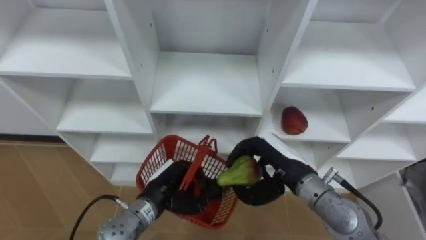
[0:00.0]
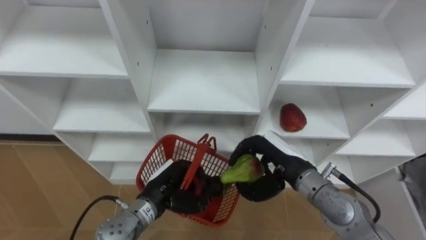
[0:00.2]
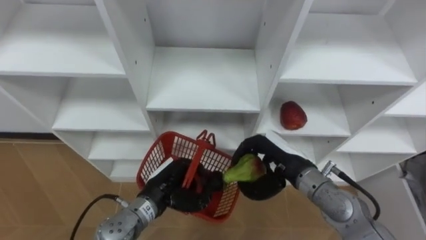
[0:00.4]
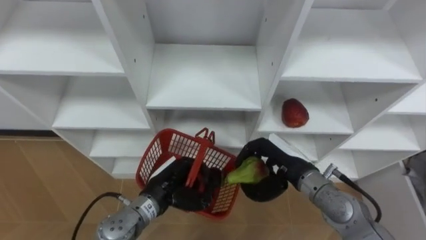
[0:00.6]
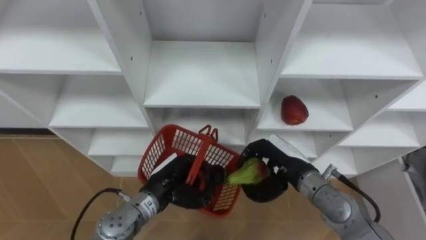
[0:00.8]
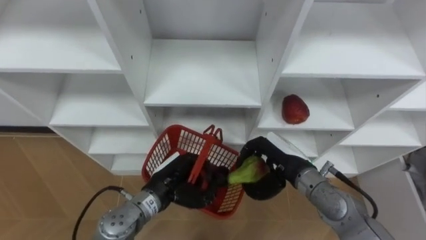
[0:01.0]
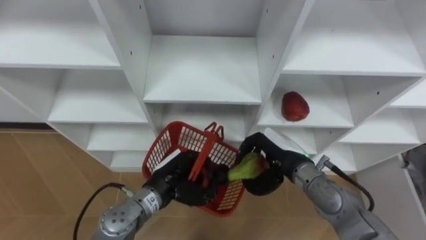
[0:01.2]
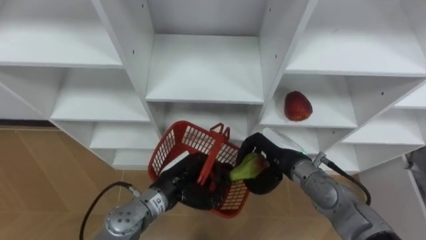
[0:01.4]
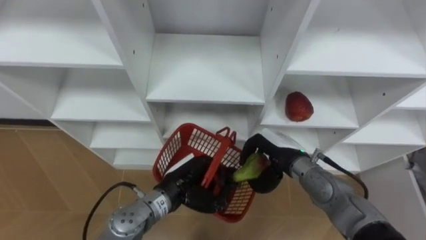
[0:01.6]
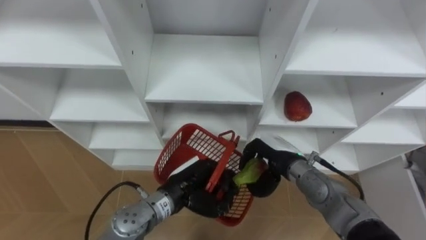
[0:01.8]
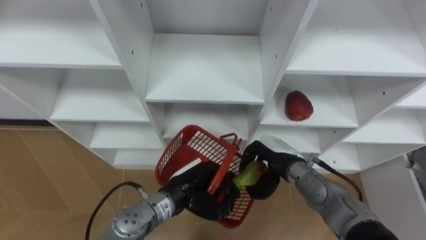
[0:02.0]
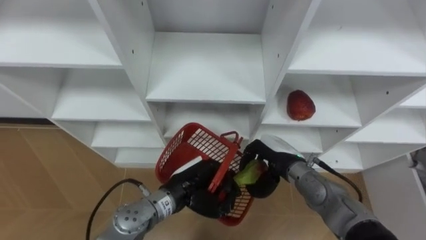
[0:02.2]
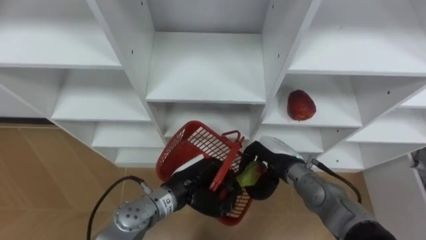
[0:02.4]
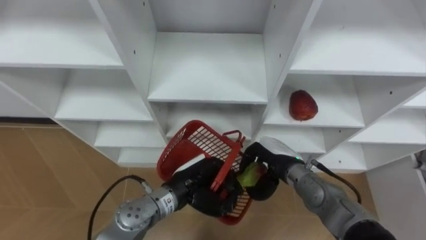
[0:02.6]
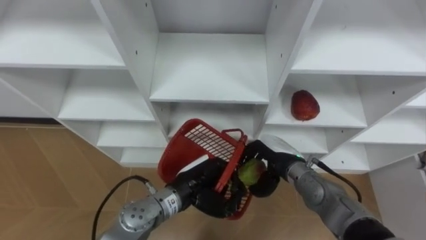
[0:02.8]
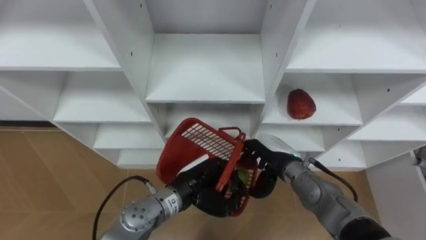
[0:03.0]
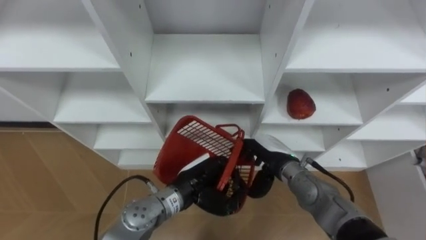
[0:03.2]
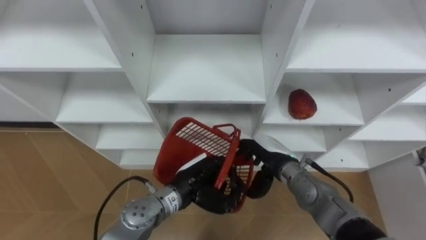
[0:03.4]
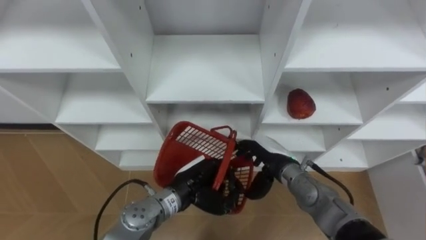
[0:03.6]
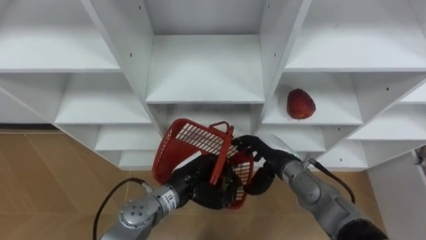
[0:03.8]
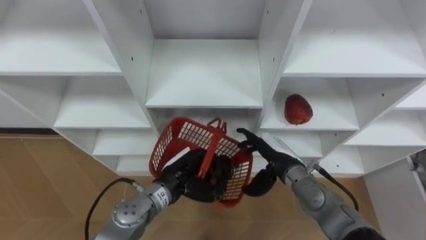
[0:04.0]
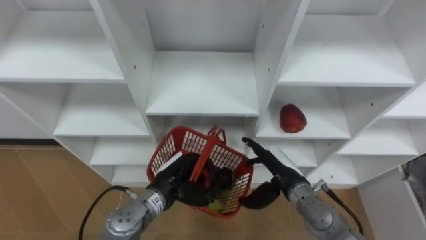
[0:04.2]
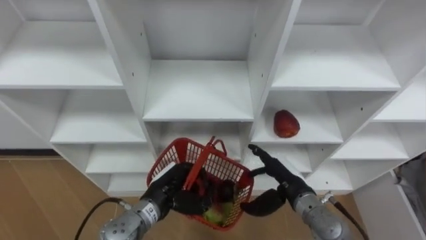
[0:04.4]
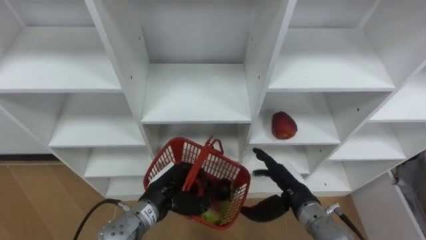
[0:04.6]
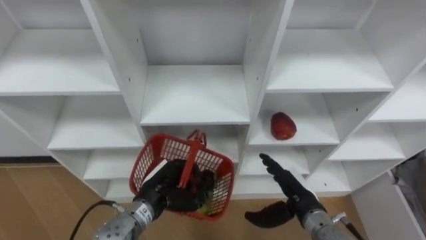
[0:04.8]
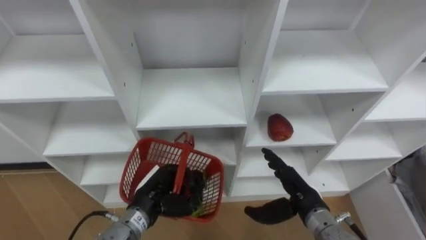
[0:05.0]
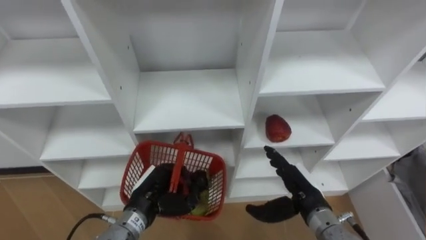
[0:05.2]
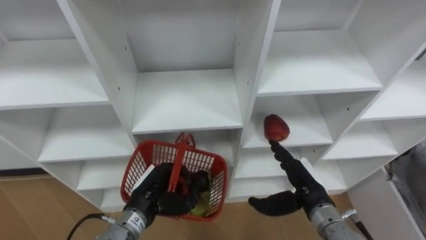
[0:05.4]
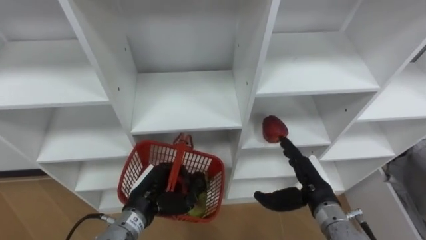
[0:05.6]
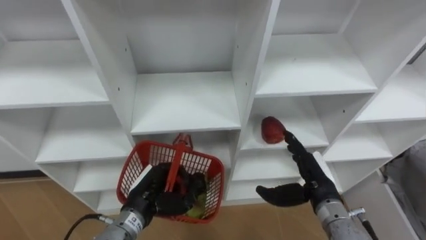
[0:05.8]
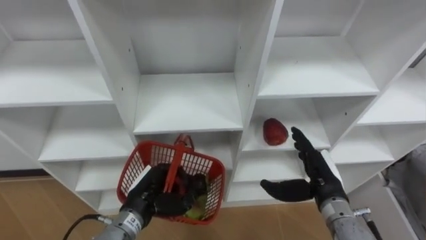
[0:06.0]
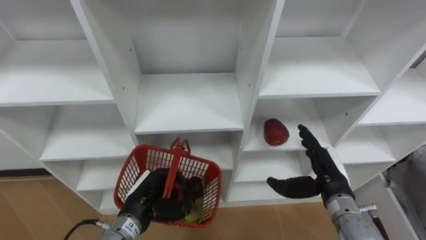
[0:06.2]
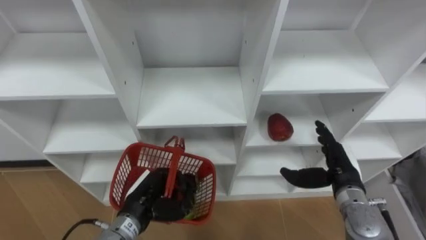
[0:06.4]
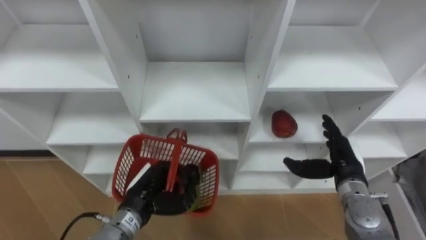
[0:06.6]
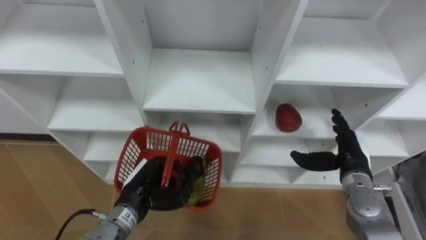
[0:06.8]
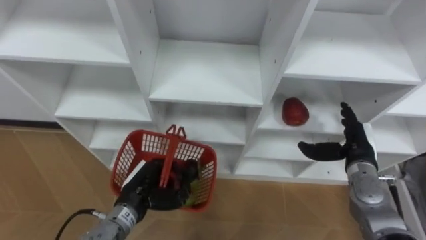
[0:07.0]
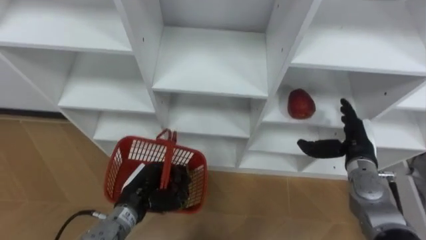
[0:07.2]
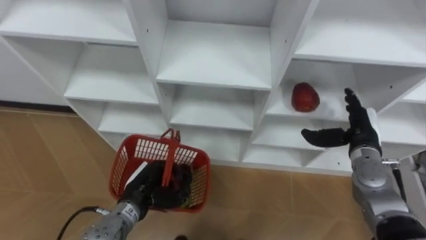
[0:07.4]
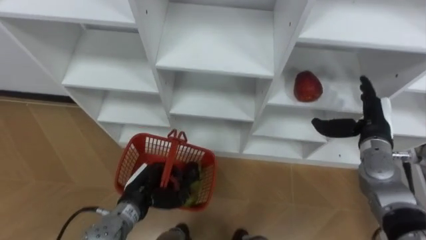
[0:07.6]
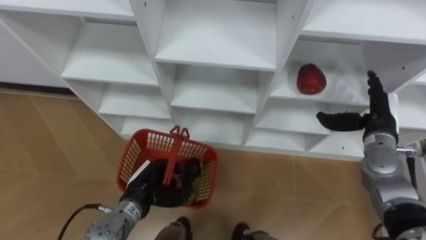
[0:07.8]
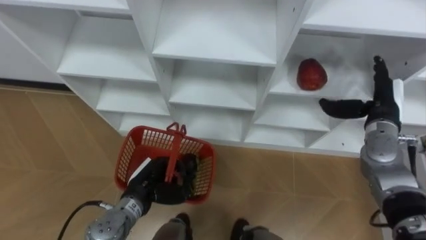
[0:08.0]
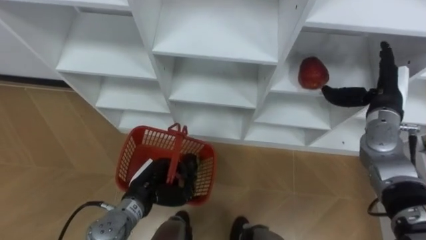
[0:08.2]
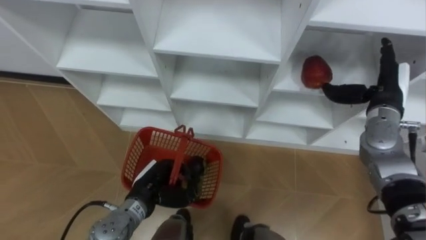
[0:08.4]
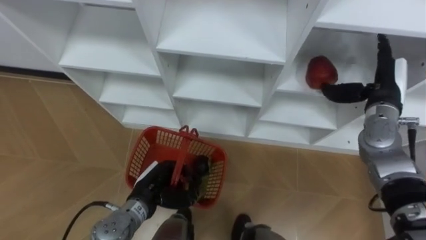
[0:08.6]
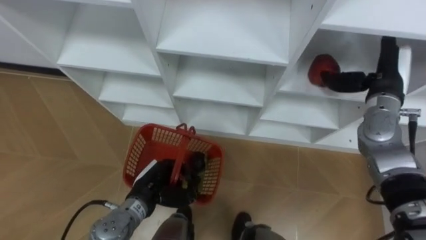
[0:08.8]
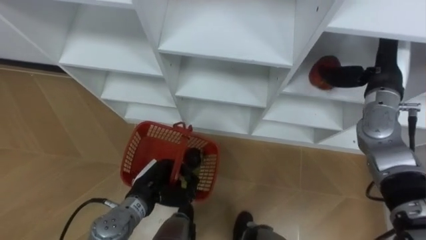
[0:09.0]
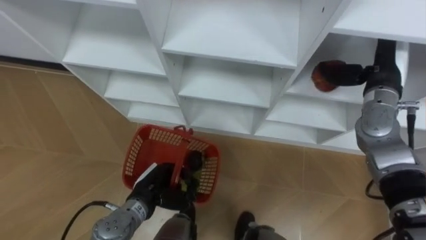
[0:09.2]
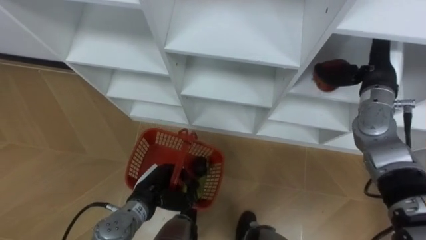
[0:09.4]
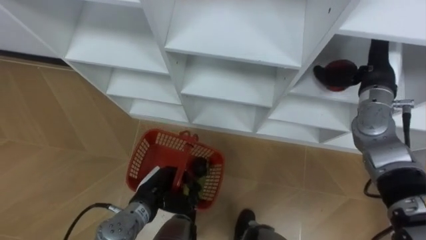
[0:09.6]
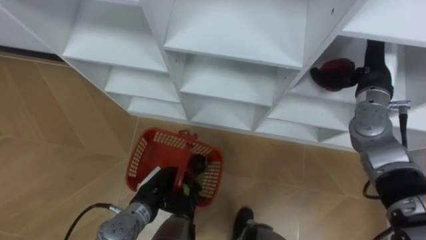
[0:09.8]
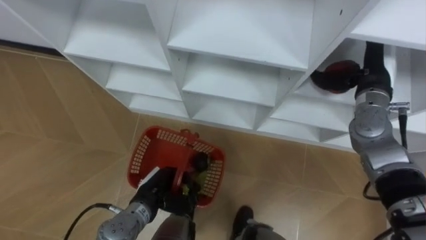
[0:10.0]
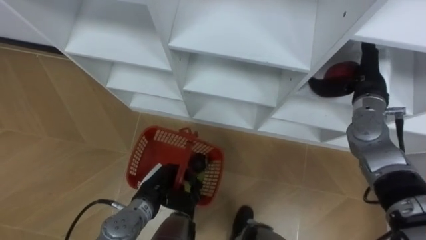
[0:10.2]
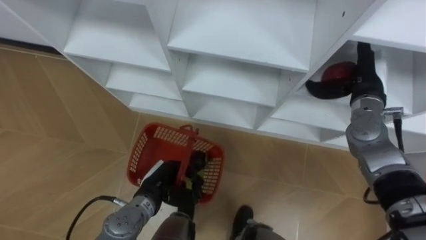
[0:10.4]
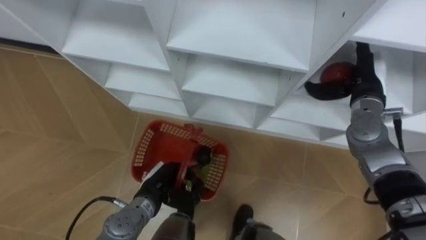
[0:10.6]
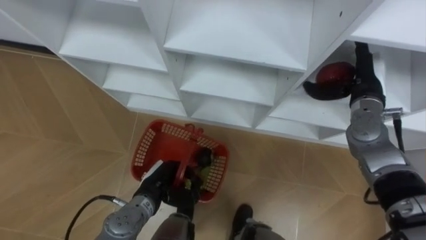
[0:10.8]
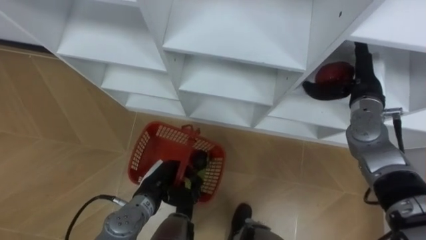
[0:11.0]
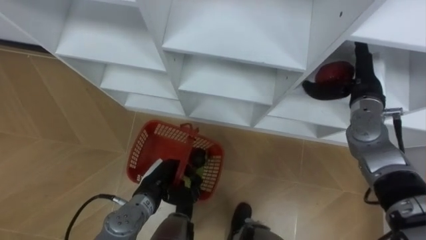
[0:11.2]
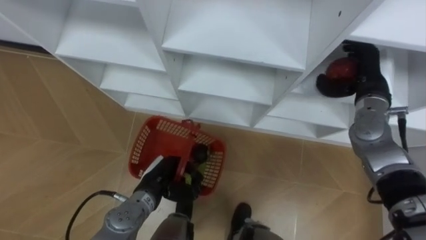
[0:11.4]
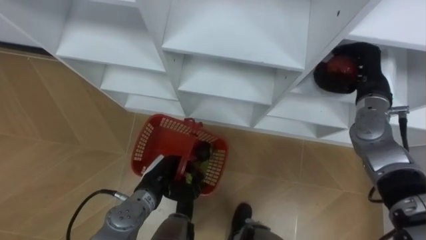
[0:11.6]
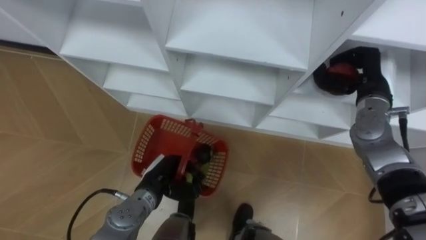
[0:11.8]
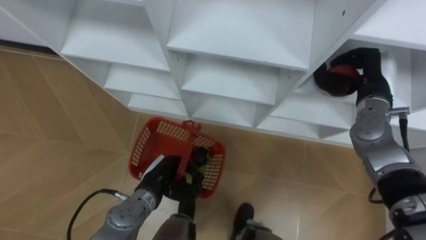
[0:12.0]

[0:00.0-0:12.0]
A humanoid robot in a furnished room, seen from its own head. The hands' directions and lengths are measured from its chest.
Task of the whole recording: Hold the basket and collect the fruits from 3 different cells of the closet into it.
0:00.0 to 0:01.6: The right hand changes place by roughly 5 cm.
0:01.6 to 0:03.0: The right hand opens its fingers.
0:03.0 to 0:04.4: The left hand travels to the left by approximately 5 cm. The right hand travels backward by some 5 cm.
0:04.4 to 0:06.0: The right hand shifts approximately 5 cm to the right.
0:06.0 to 0:07.6: The right hand travels to the right, forward and upward by approximately 15 cm.
0:07.6 to 0:09.0: The right hand is displaced upward by approximately 10 cm.
0:10.4 to 0:12.0: The right hand closes its fingers.

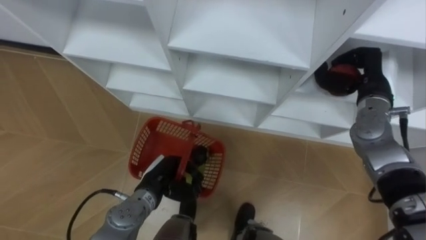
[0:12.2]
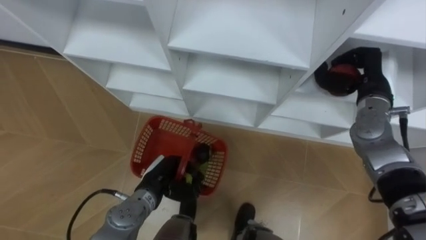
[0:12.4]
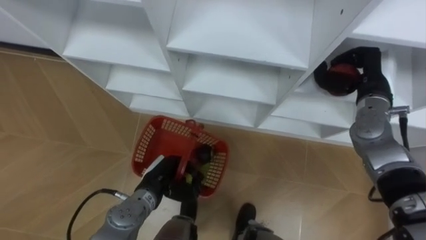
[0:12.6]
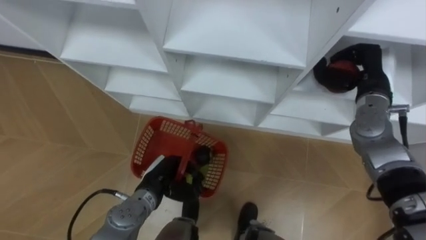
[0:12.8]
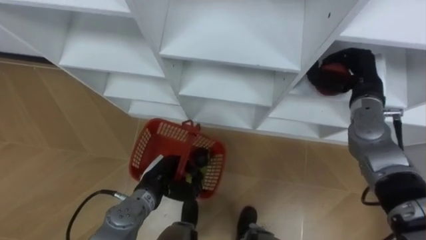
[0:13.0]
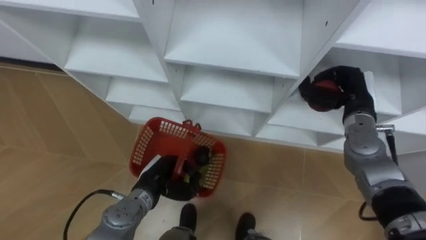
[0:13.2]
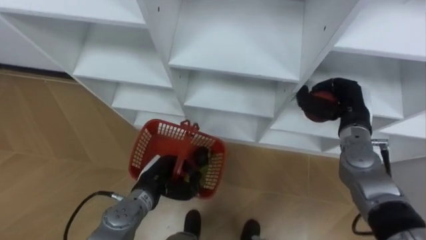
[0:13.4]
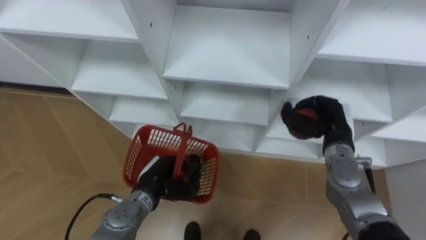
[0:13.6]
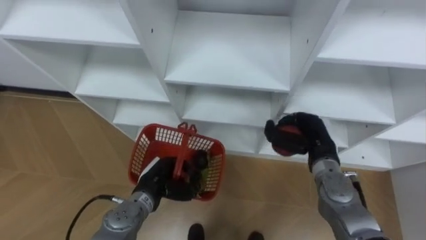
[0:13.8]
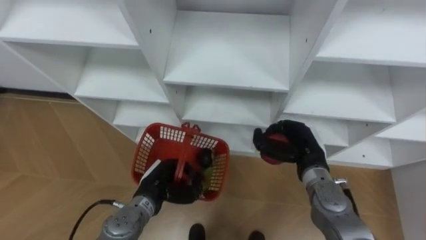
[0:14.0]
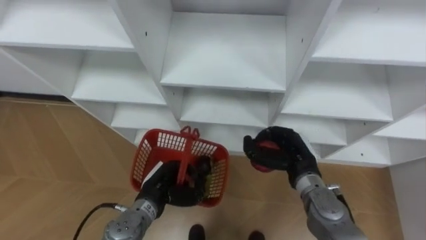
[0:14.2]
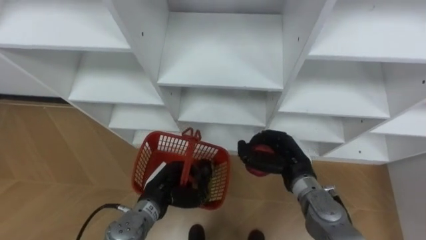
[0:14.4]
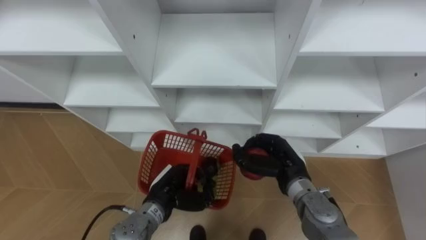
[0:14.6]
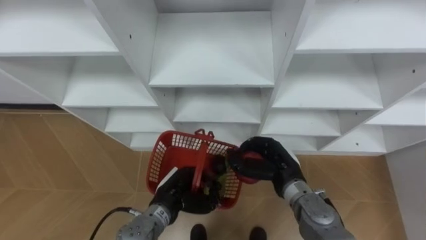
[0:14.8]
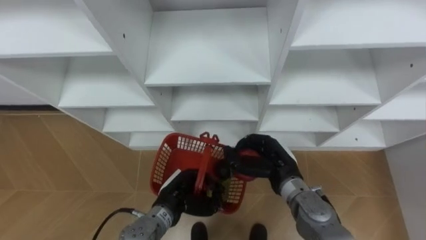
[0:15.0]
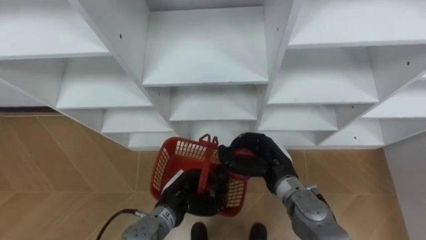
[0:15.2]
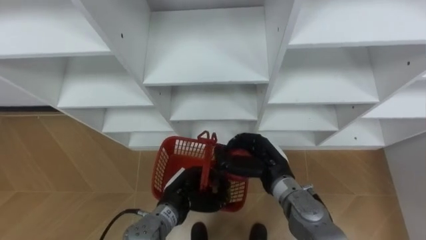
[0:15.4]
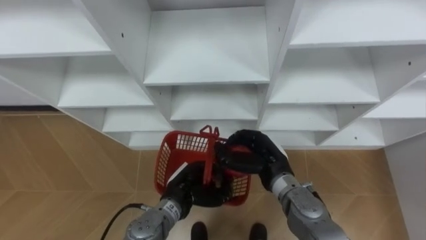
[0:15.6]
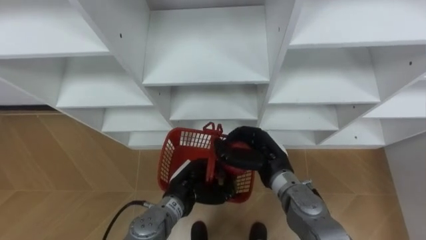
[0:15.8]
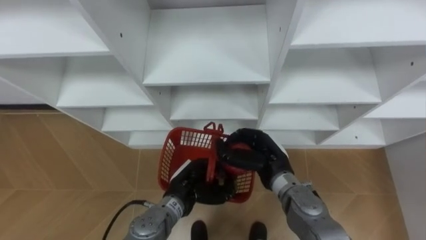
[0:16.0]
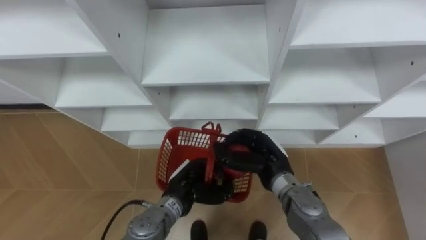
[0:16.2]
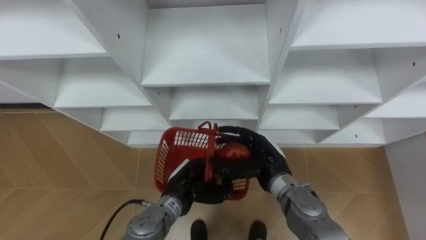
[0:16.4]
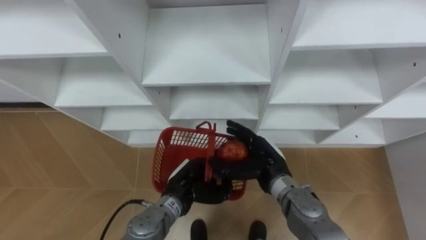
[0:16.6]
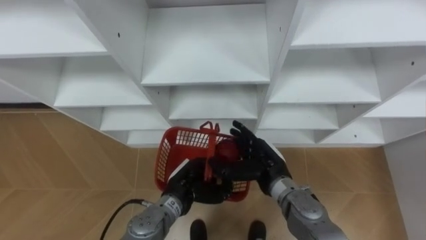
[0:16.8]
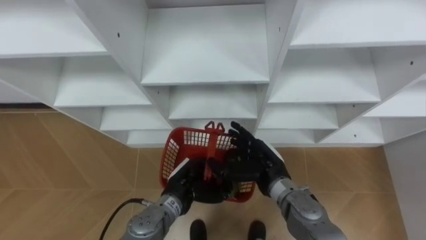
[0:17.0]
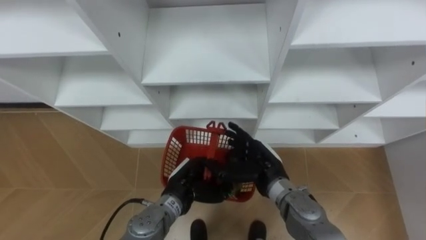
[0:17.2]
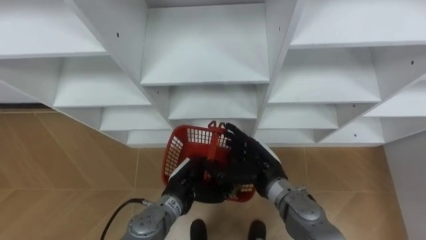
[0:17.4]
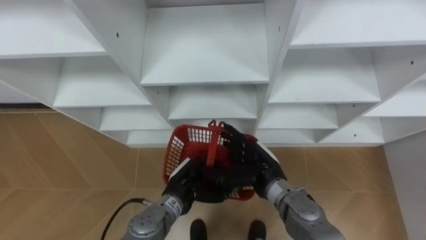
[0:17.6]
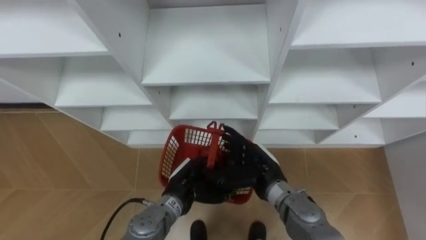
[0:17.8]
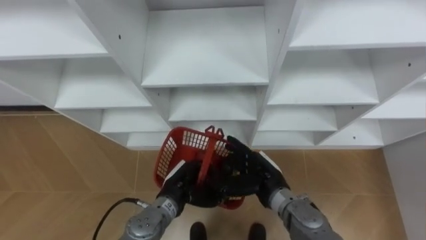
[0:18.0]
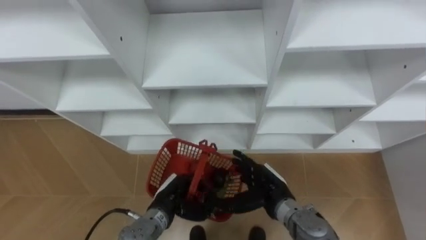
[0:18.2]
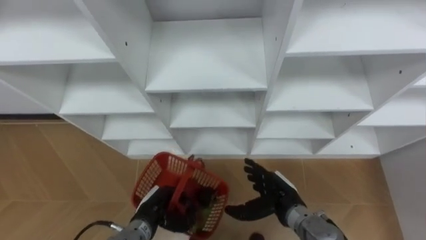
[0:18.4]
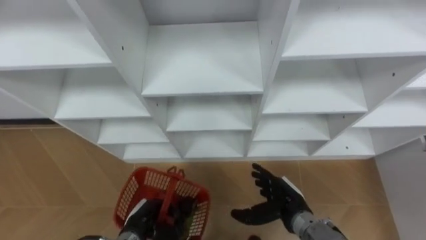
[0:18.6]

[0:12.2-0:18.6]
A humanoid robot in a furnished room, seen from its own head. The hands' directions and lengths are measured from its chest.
Task of the whole recording: Hold the basket and collect the fruits from 3 different cells of the closet into it.
0:12.2 to 0:13.8: The right hand moves downward, to the left and backward, approximately 15 cm.
0:13.8 to 0:15.4: The left hand shifts roughly 5 cm to the right. The right hand moves to the left, some 10 cm.
0:15.4 to 0:17.0: The right hand opens.
0:17.0 to 0:18.6: The right hand shifts some 10 cm downward, to the right and backward, while the left hand shifts some 15 cm to the left, downward and backward.
